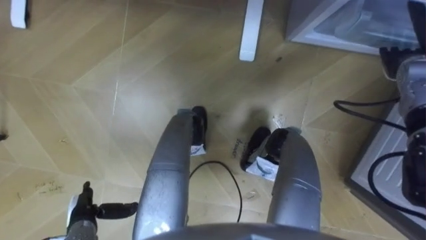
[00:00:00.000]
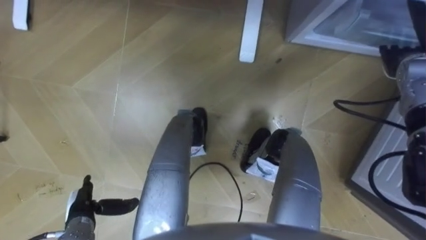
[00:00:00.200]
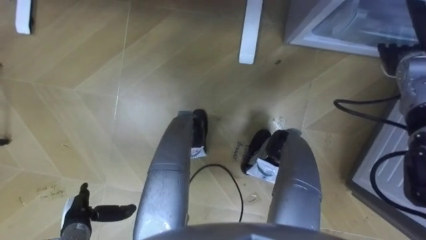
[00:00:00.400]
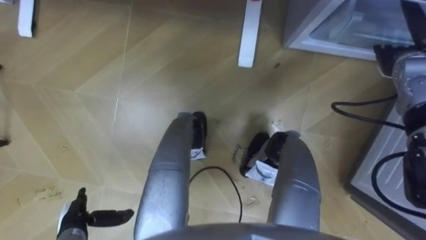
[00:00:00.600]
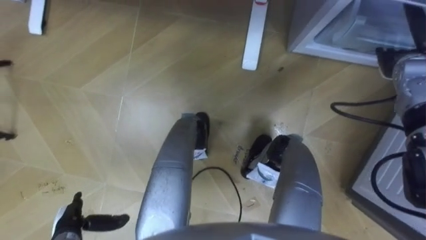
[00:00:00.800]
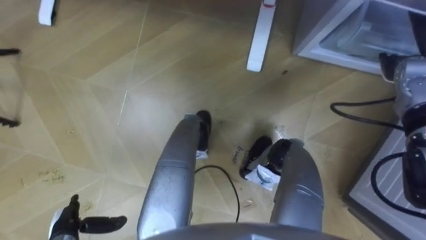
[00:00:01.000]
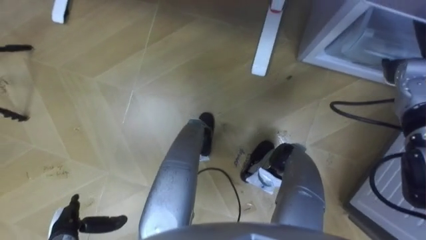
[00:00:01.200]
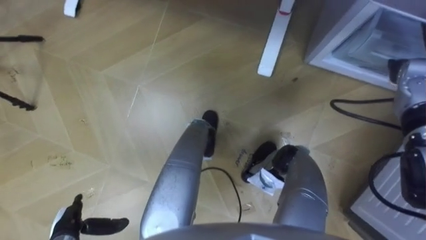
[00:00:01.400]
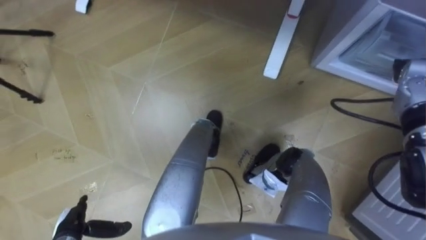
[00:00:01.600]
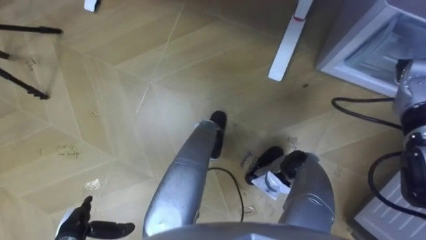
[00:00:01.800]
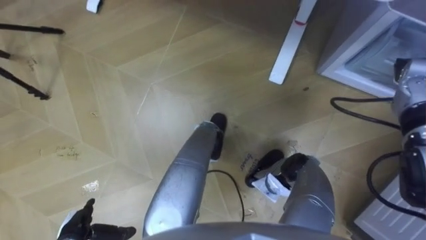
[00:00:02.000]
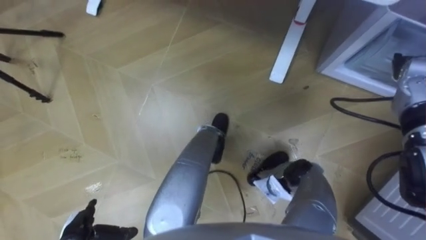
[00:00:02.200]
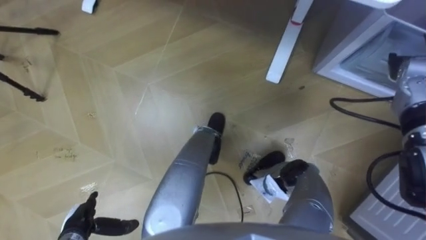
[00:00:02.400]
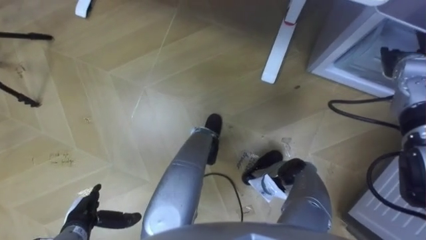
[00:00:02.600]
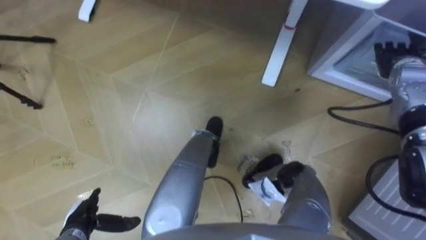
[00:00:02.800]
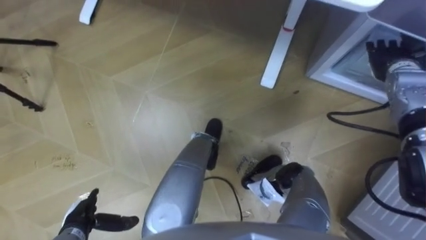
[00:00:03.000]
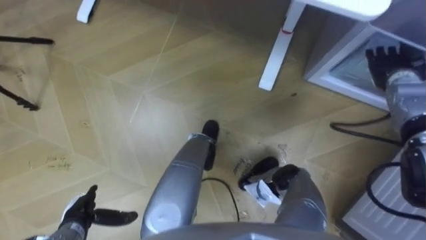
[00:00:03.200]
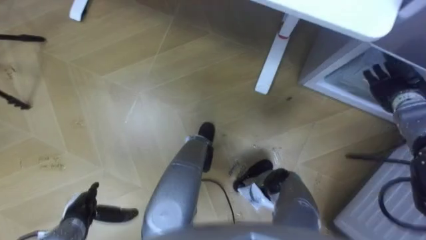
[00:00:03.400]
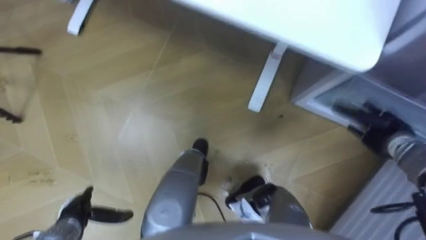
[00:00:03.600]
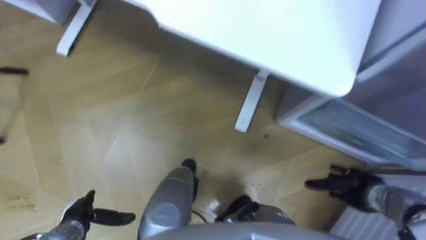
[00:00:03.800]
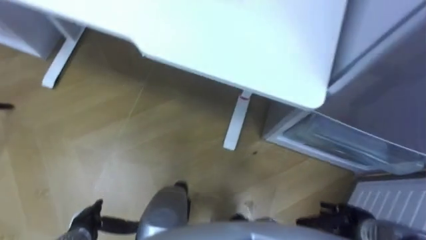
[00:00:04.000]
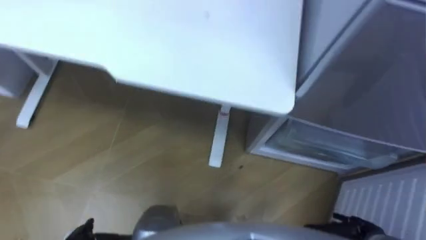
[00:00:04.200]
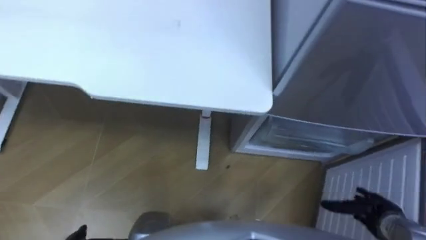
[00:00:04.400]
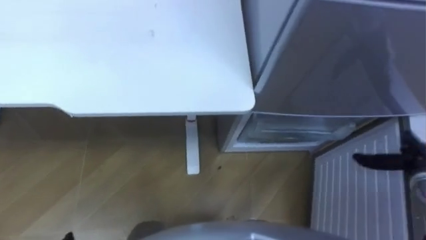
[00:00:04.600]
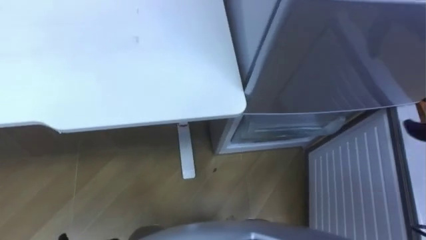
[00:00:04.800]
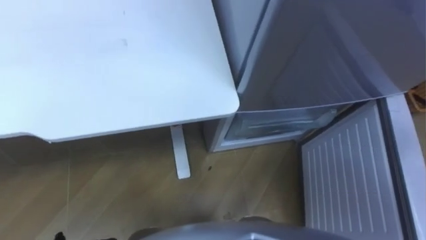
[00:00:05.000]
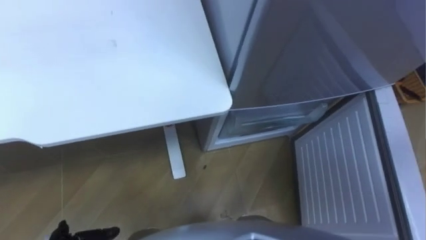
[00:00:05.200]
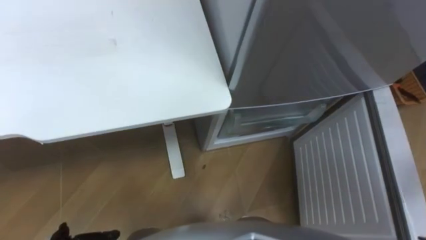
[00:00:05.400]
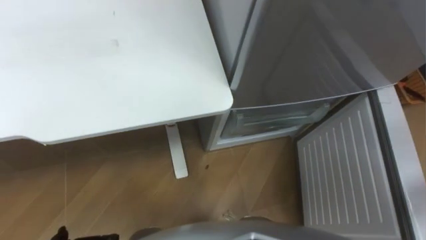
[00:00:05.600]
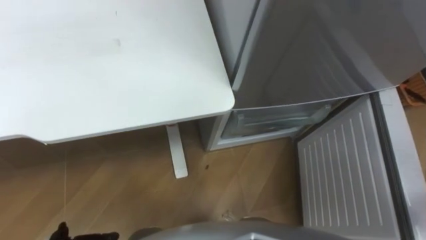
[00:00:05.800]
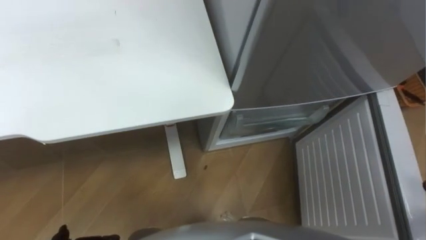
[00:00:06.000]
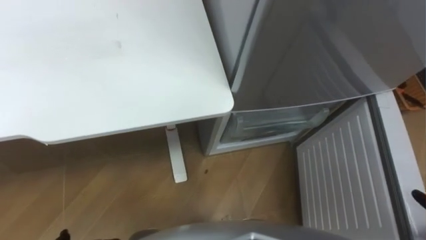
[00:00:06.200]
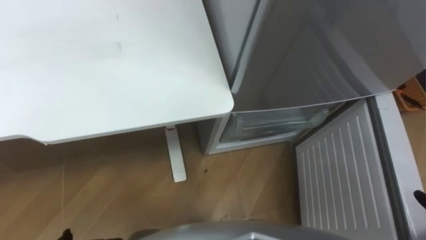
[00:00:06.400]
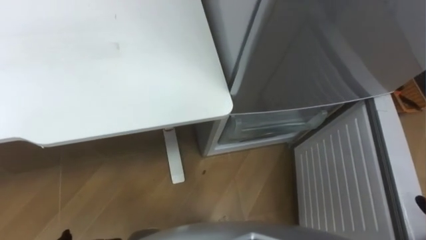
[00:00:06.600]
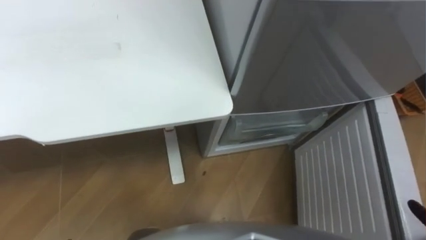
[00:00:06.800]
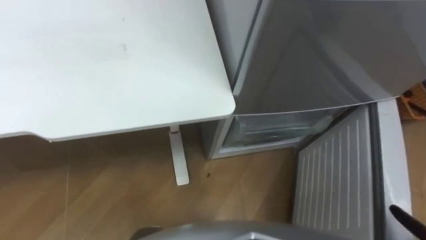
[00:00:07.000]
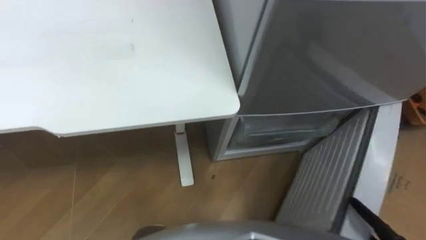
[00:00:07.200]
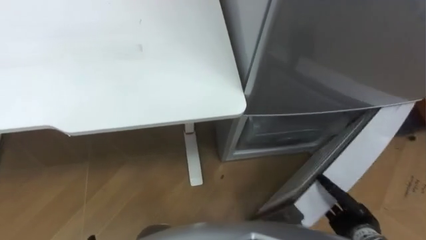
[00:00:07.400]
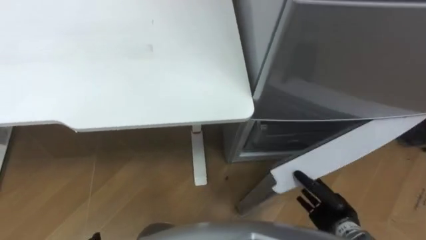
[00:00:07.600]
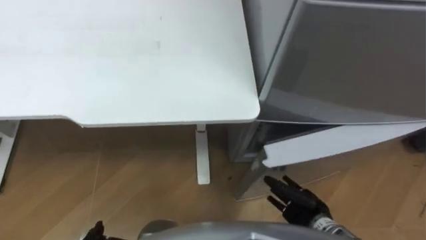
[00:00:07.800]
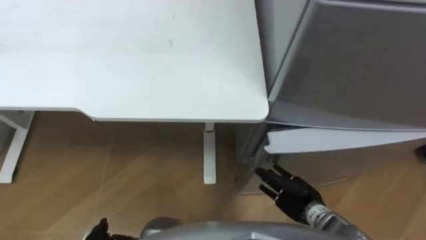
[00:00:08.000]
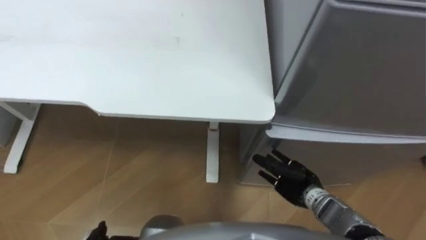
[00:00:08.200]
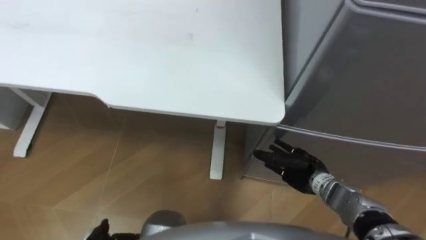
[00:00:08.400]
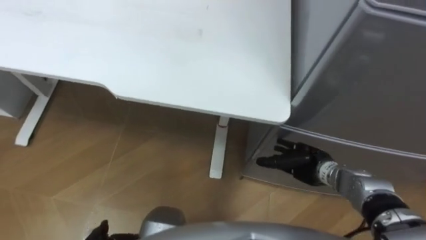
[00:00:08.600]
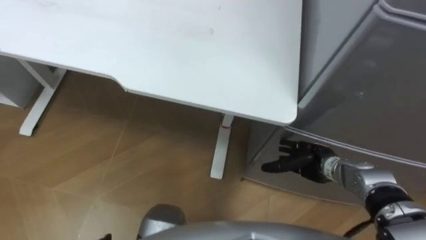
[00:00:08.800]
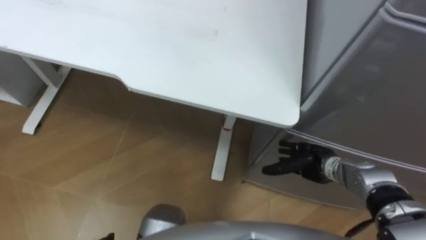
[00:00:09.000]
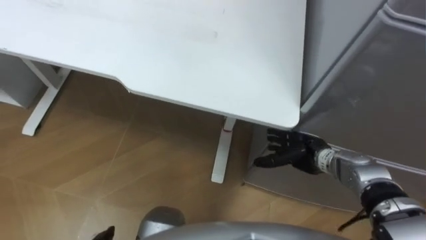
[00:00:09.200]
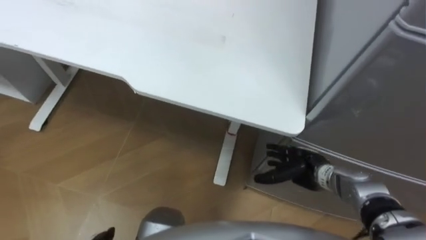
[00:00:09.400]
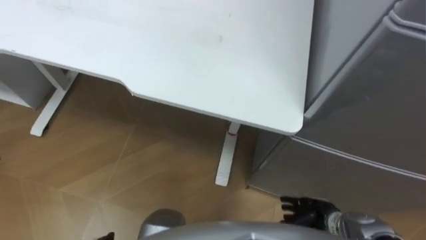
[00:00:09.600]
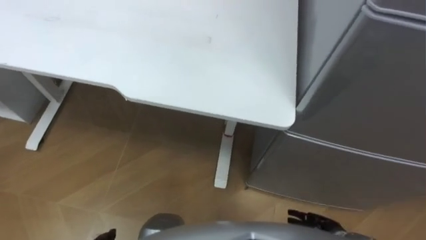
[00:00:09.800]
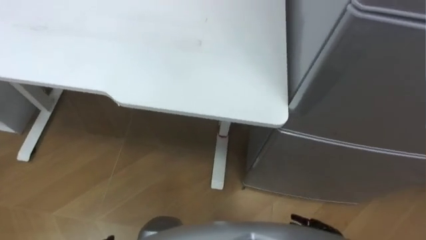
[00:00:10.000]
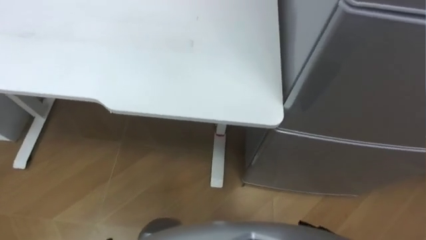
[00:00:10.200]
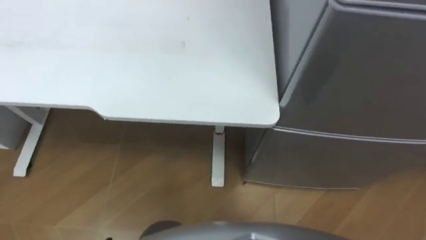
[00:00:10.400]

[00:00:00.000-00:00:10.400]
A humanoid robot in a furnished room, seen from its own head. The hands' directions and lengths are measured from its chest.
Task of the whole recording: Place the drink on the table on the bottom shelf of the refrigerator, then close the drawer and the refrigerator door.
00:00:03.000 to 00:00:04.400: The right hand travels backward and downward by about 35 cm.
00:00:07.400 to 00:00:09.000: The right hand is displaced forward and to the left by some 15 cm.

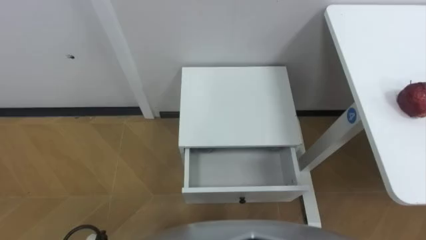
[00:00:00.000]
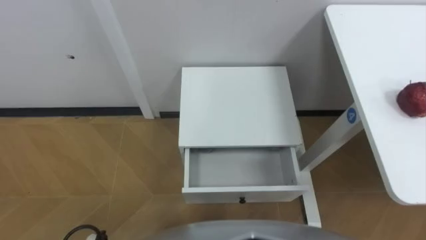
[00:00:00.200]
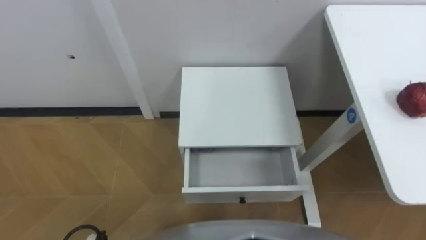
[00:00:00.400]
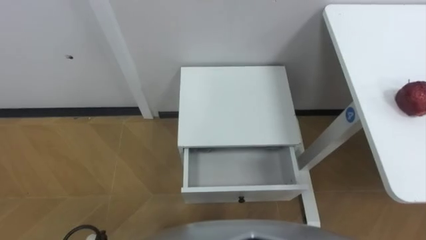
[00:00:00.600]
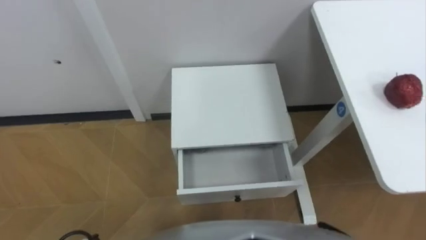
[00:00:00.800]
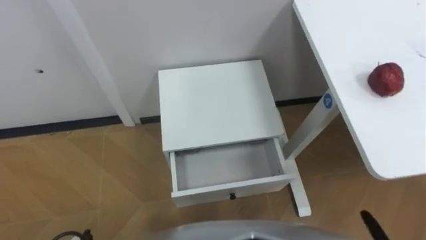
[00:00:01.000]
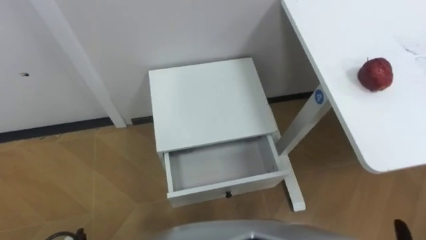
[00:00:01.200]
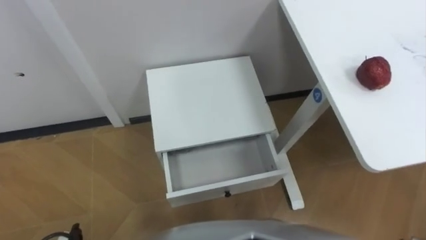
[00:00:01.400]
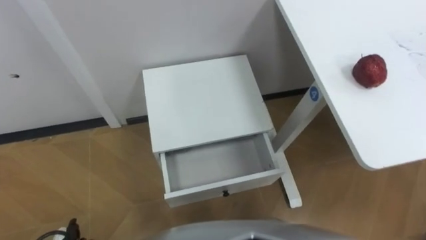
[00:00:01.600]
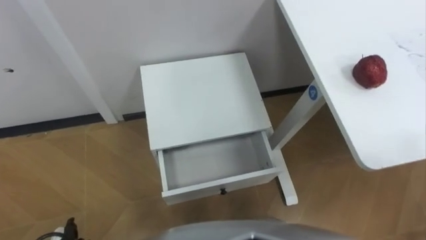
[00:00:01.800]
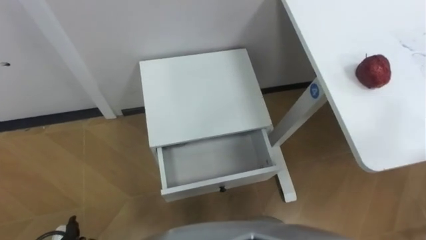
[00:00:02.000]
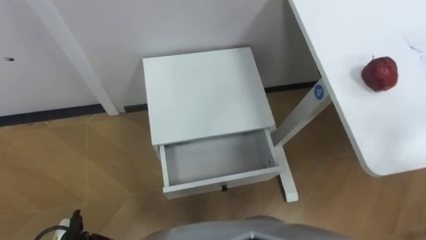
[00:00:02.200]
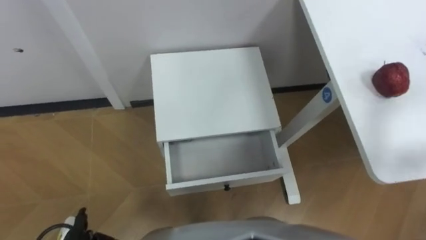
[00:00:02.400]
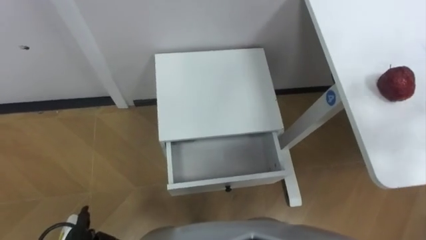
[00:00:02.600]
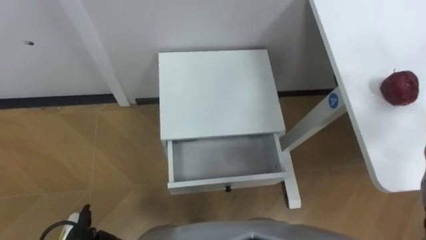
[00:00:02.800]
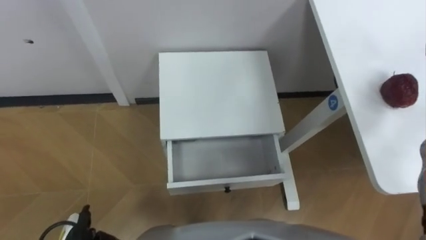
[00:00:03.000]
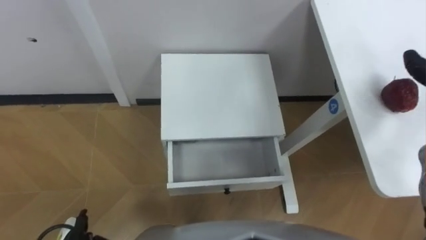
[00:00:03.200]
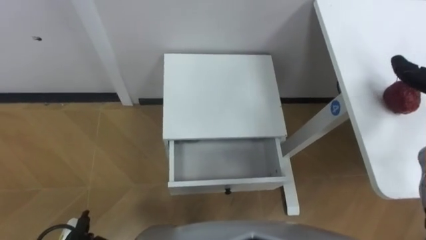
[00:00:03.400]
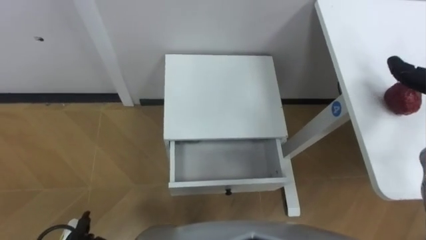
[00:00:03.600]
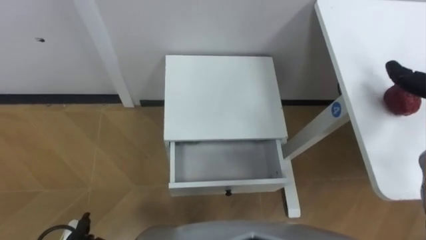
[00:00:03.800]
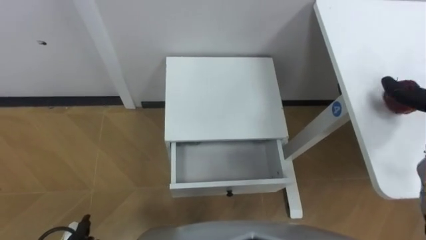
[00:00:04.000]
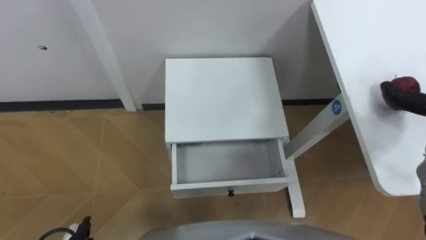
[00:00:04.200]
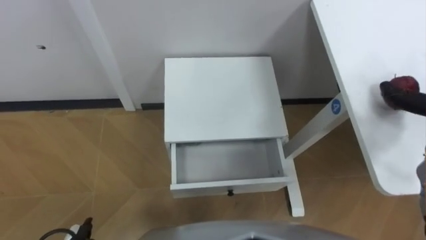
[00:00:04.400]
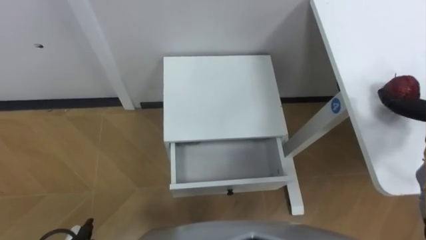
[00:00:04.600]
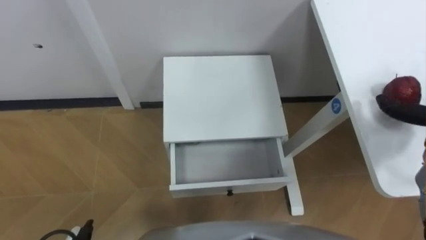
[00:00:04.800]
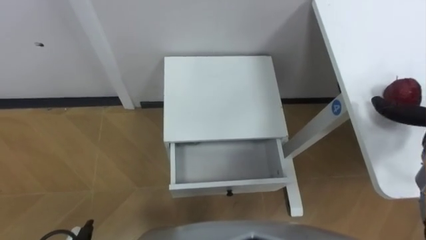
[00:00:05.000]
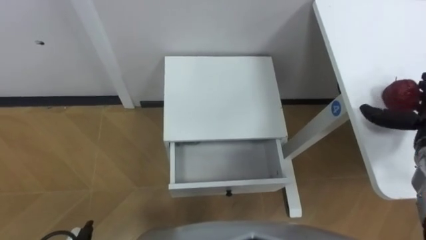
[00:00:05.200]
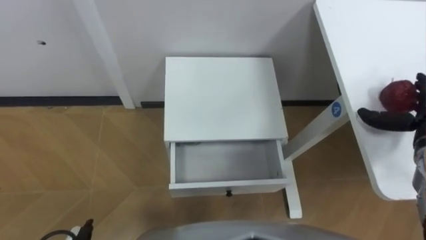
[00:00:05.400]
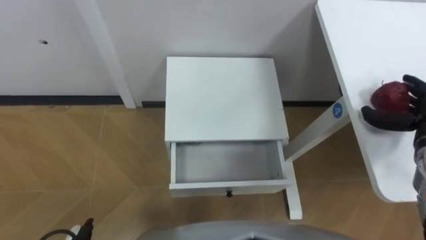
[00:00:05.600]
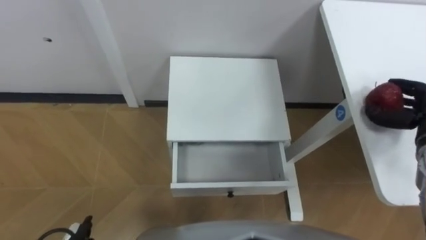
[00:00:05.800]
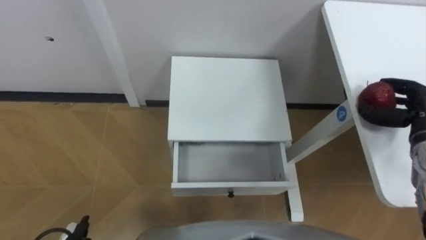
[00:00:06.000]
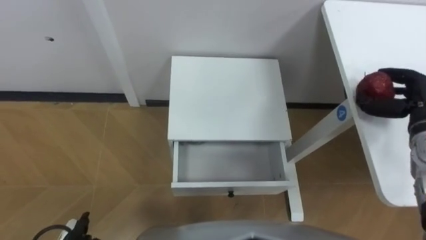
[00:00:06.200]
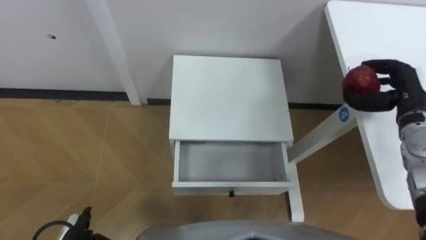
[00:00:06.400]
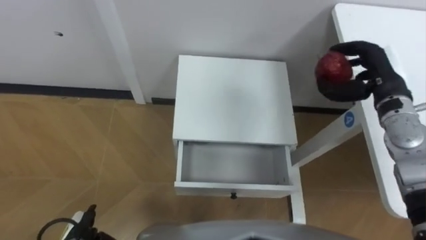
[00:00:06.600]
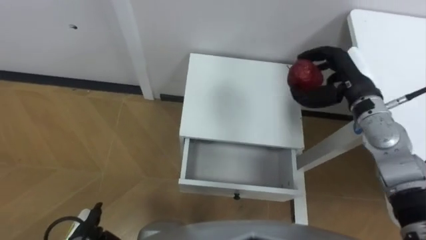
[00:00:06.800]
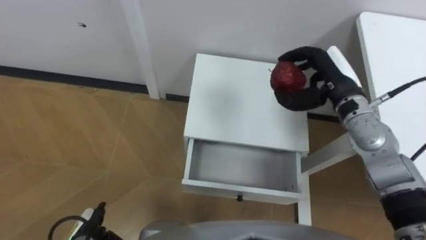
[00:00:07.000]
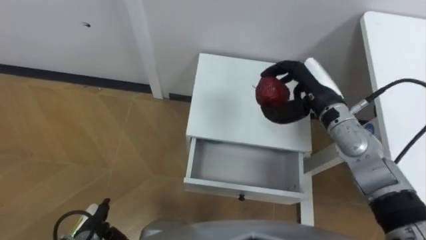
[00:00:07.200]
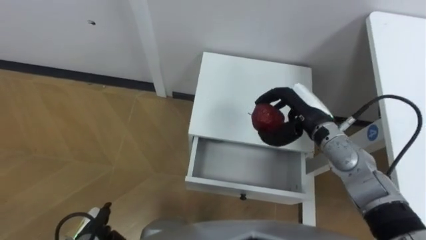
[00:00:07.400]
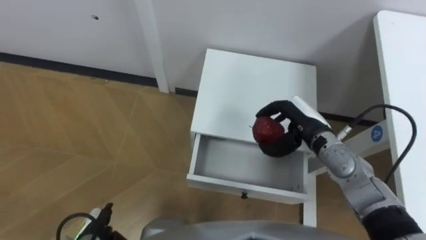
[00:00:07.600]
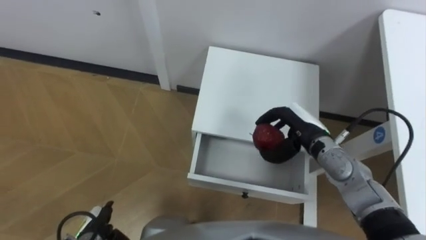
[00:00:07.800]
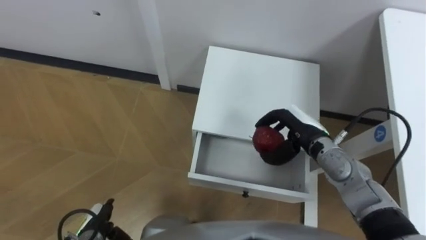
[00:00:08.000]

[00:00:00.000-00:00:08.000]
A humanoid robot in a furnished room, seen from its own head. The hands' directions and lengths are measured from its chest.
Task of the whole recording: Pick up the apple from the table, put it in the drawer, and close the drawer with leg.
00:00:06.400 to 00:00:08.000: The right hand moves to the left, about 20 cm.
